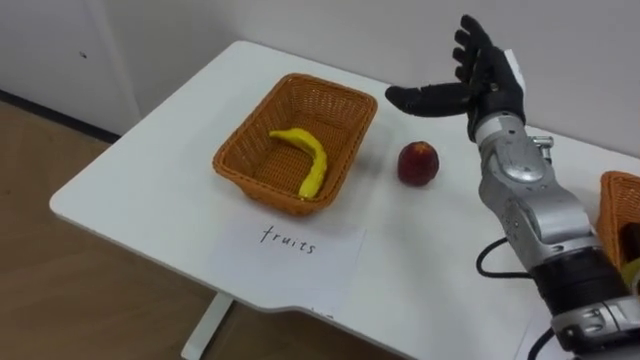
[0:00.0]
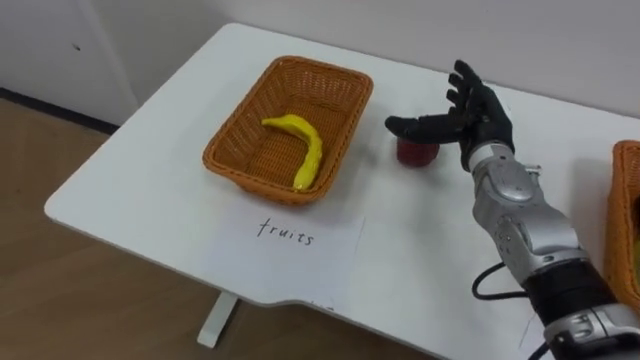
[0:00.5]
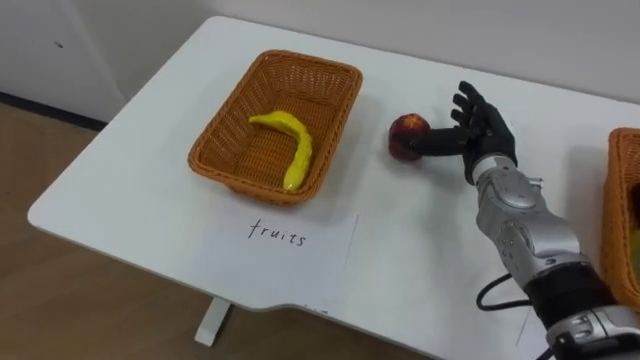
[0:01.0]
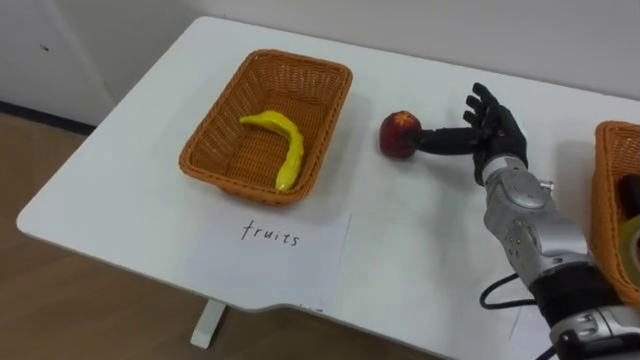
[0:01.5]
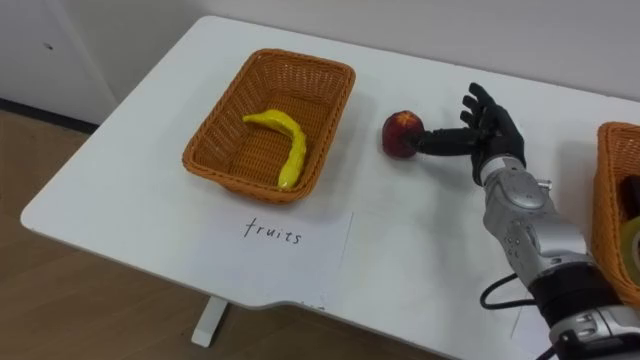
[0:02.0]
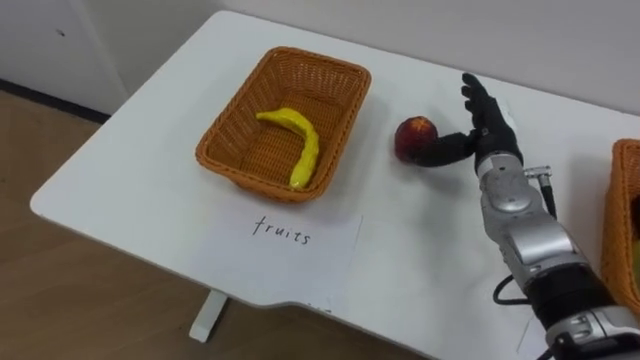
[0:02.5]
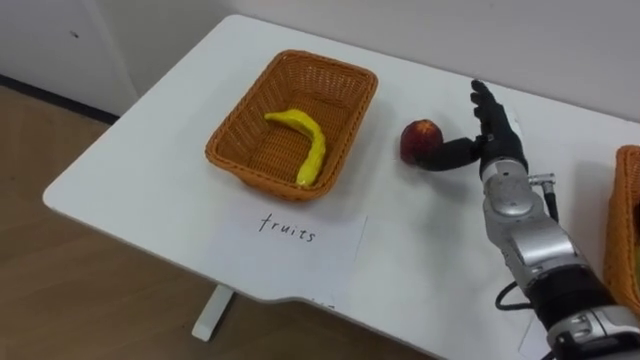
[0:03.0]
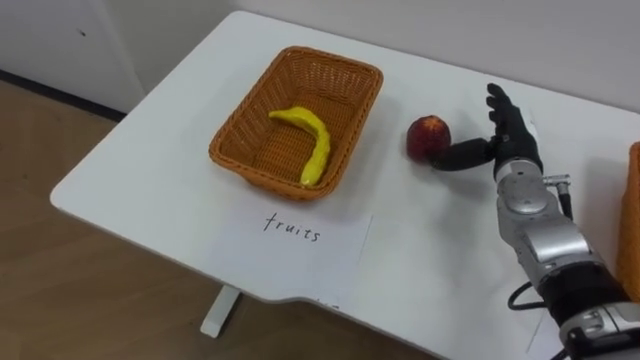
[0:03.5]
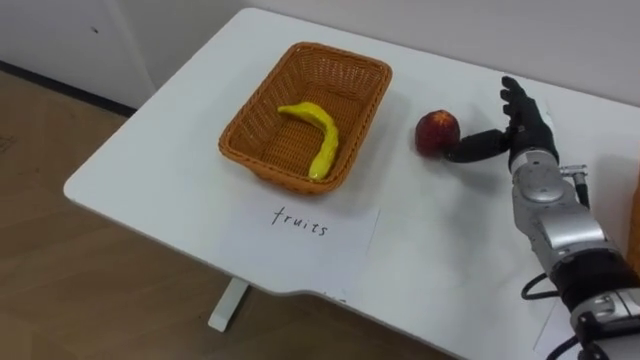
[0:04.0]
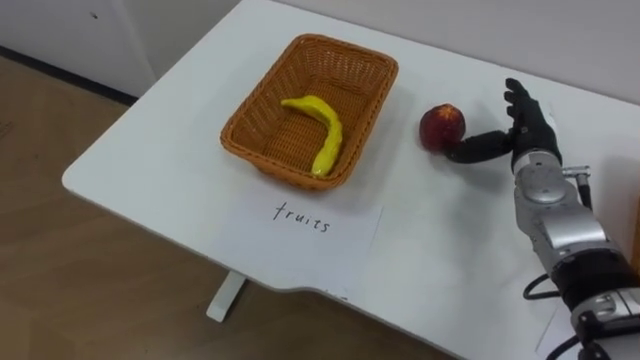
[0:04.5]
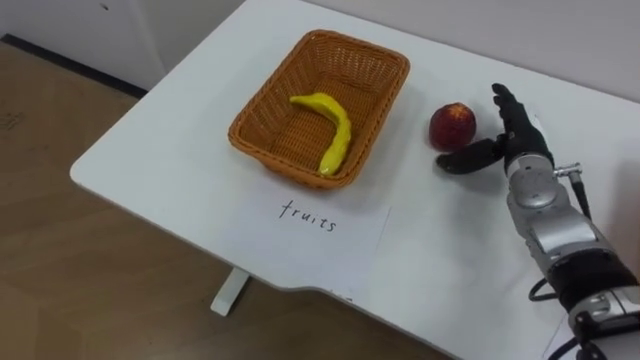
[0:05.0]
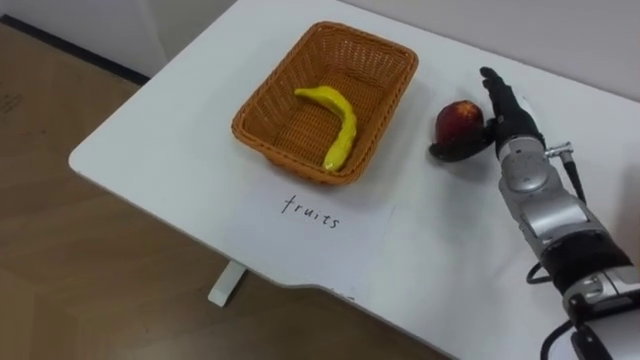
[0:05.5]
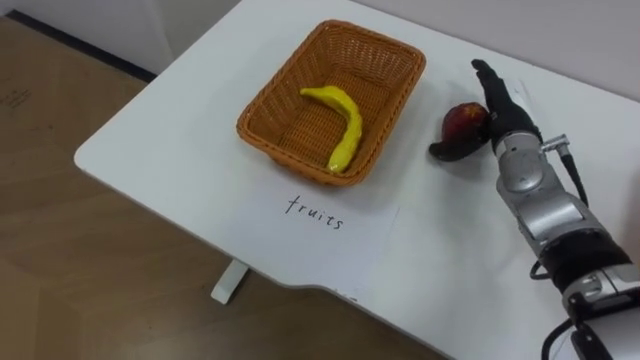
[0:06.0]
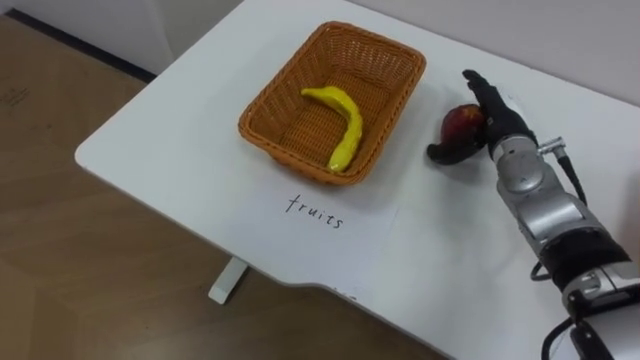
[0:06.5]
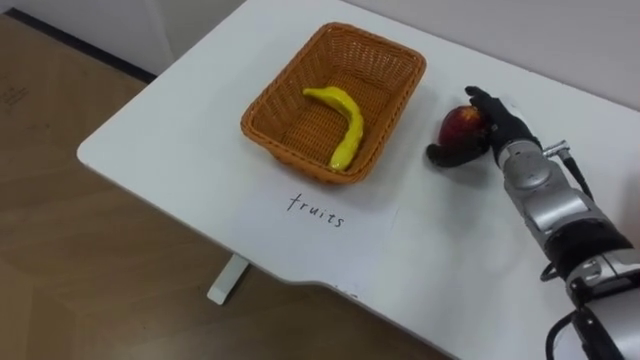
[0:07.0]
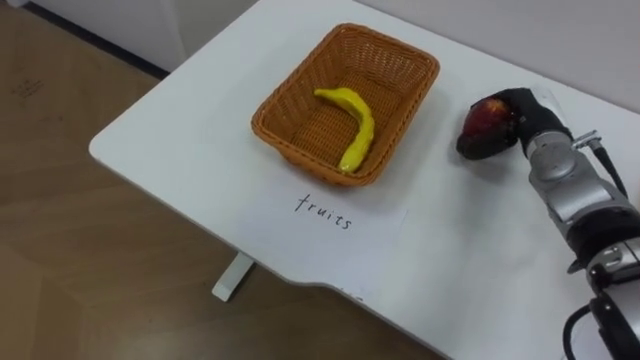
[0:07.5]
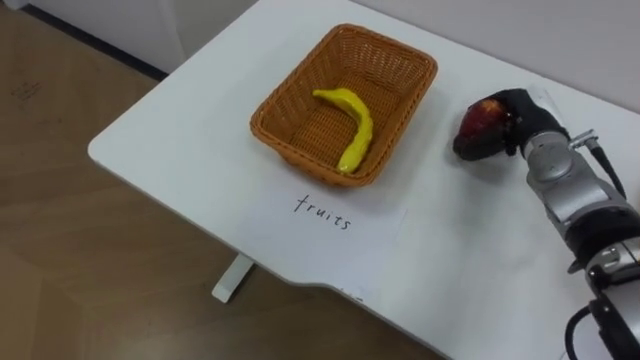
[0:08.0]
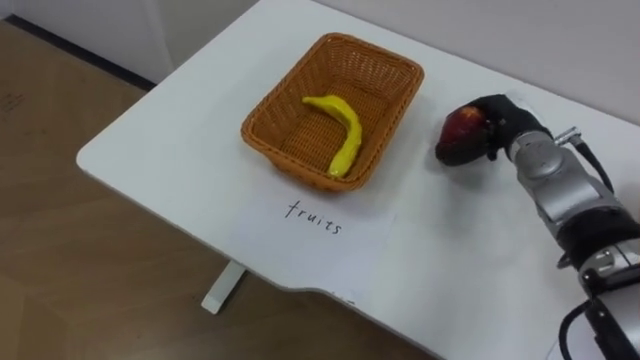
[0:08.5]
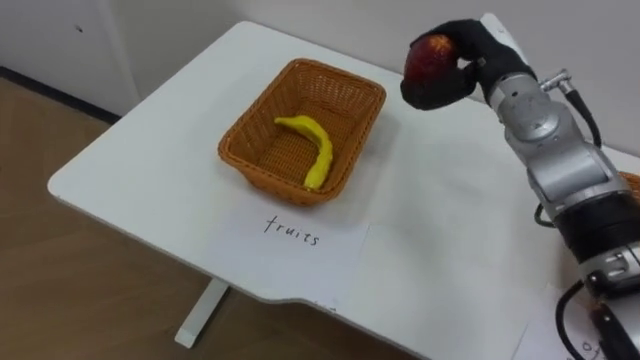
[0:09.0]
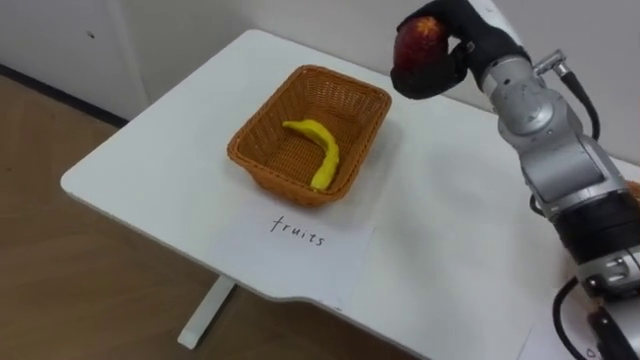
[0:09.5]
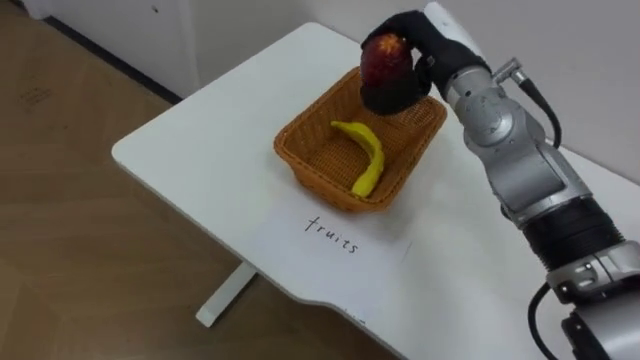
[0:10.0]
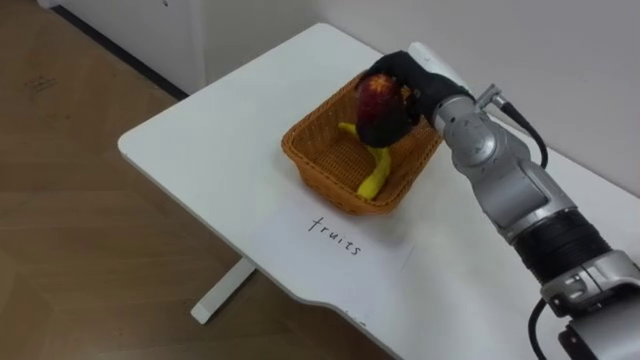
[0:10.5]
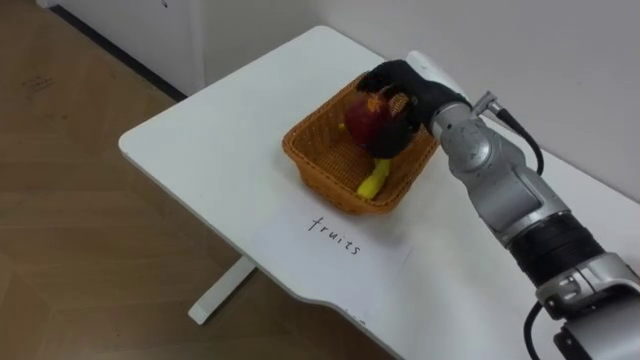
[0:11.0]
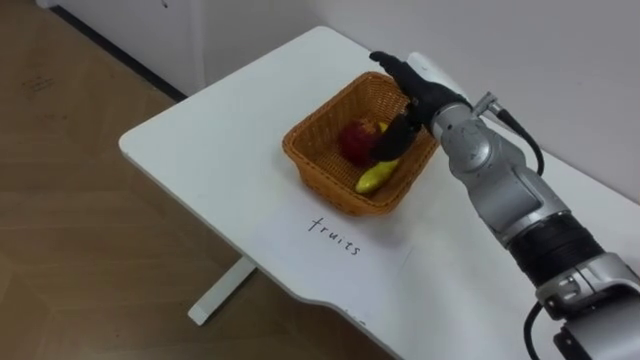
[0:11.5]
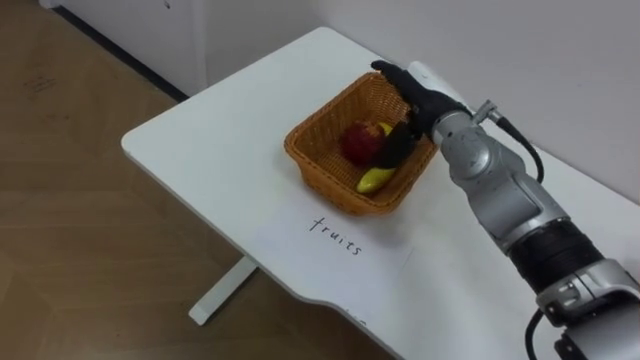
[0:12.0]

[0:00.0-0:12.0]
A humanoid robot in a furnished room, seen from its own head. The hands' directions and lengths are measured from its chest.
Task of the whole recording: Separate the items on the table and place them into the two baskets.
0:00.0 to 0:02.0: The right hand goes roughly 5 cm downward.
0:06.0 to 0:08.0: The right hand closes up.
0:08.0 to 0:10.0: The right hand heads to the left and upward, covering some 20 cm.
0:10.0 to 0:12.0: The right hand travels downward by roughly 5 cm, and opens its fingers.

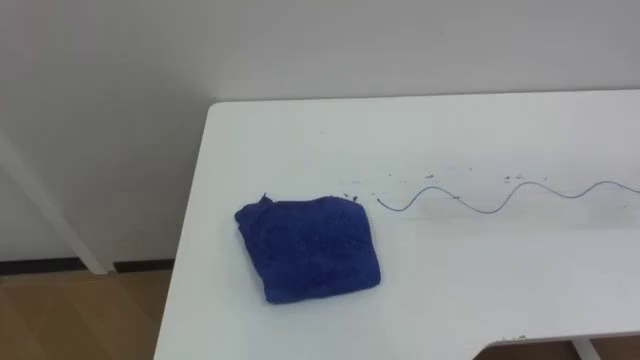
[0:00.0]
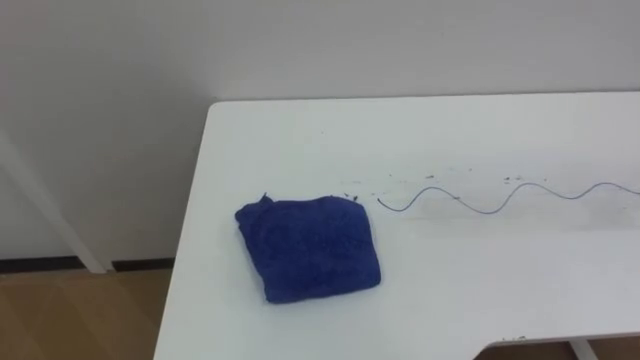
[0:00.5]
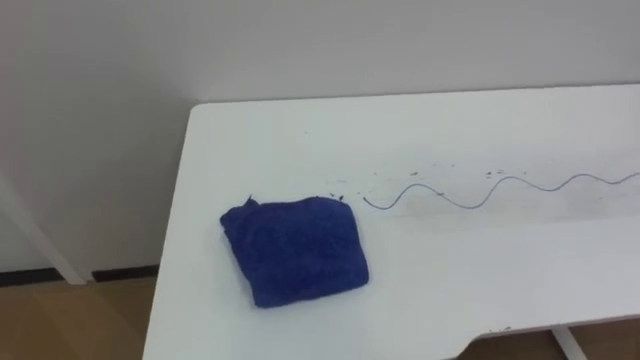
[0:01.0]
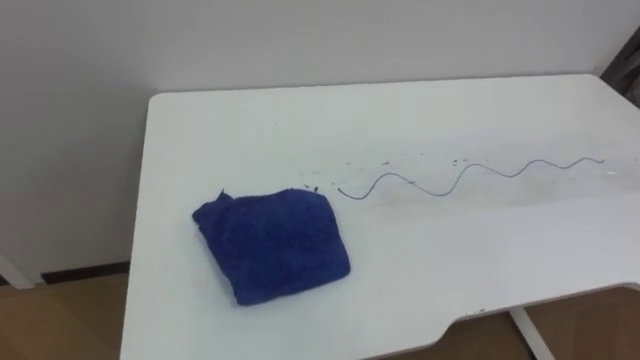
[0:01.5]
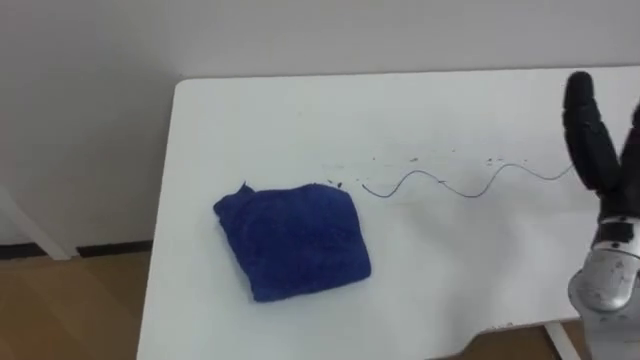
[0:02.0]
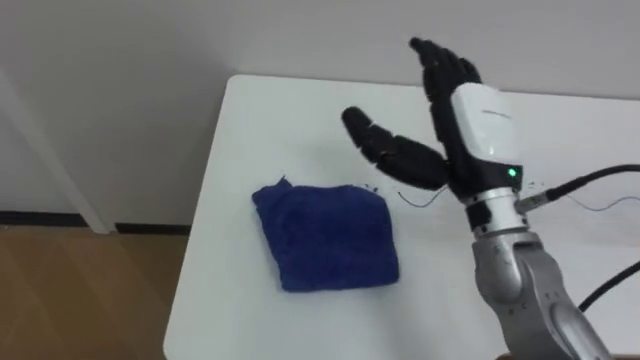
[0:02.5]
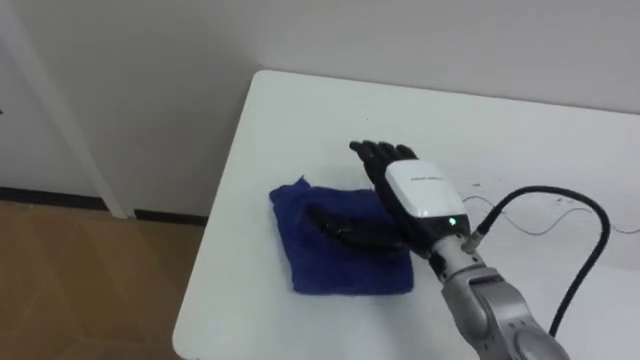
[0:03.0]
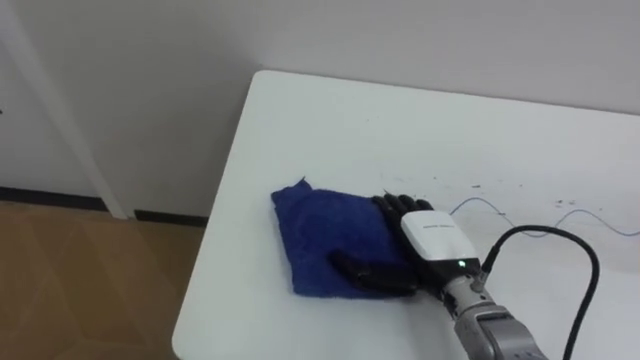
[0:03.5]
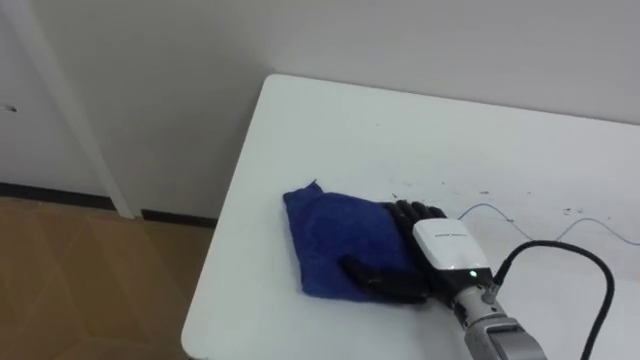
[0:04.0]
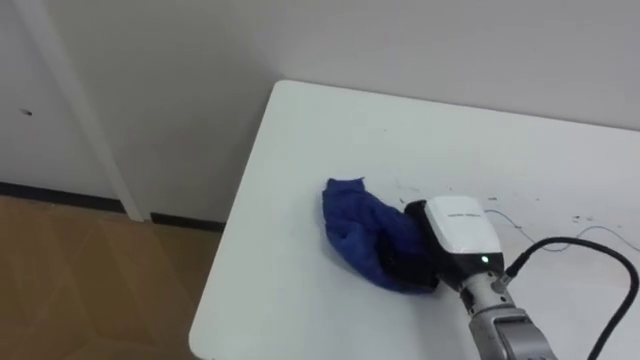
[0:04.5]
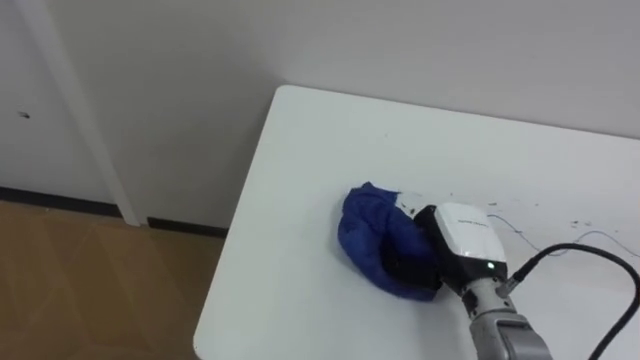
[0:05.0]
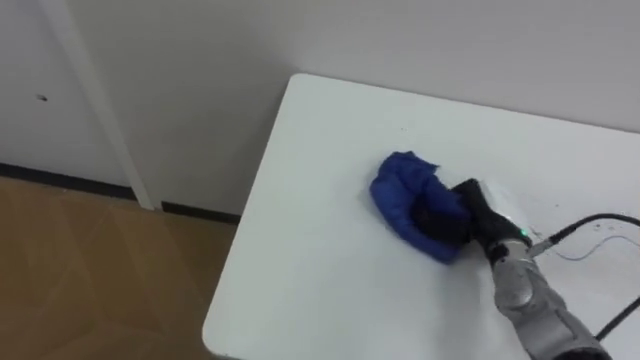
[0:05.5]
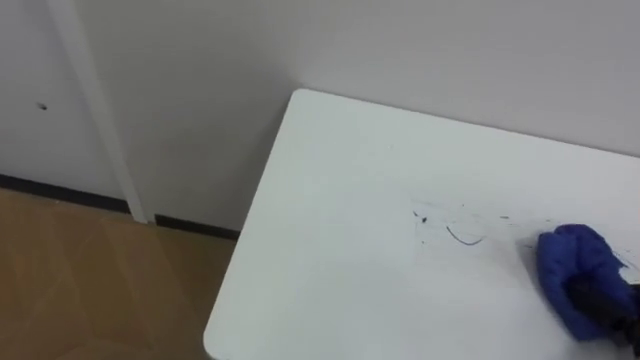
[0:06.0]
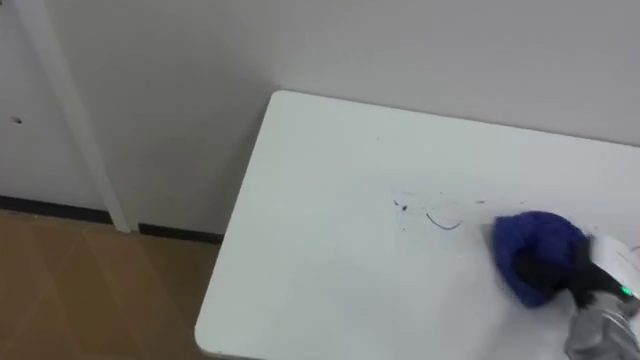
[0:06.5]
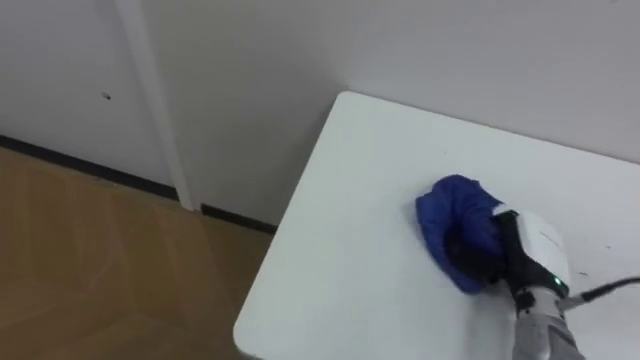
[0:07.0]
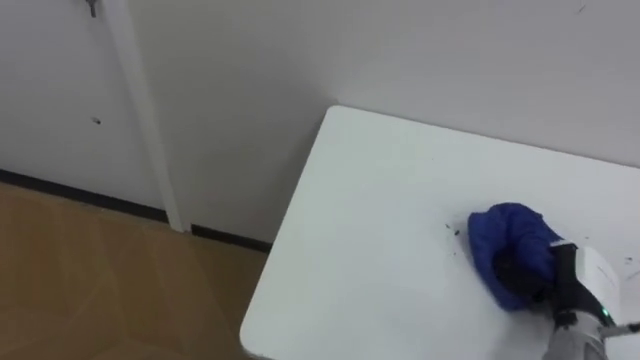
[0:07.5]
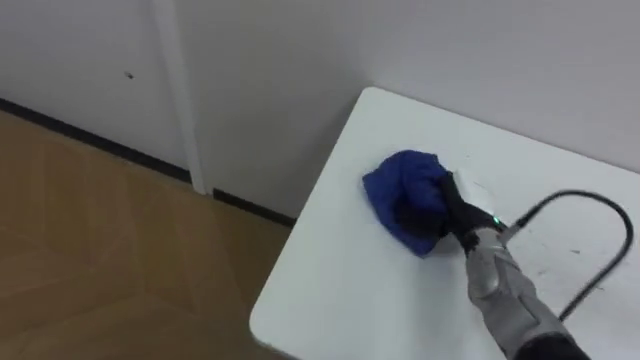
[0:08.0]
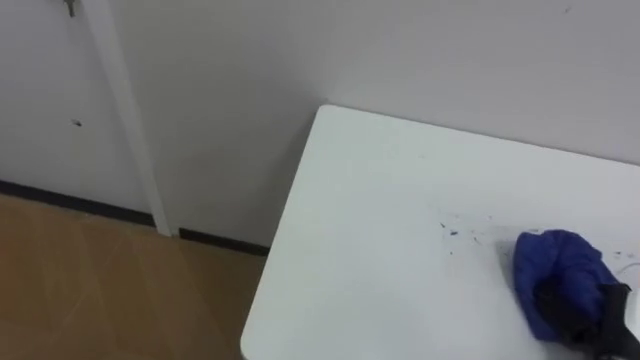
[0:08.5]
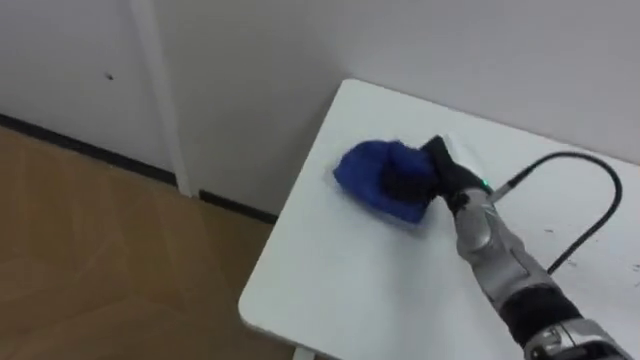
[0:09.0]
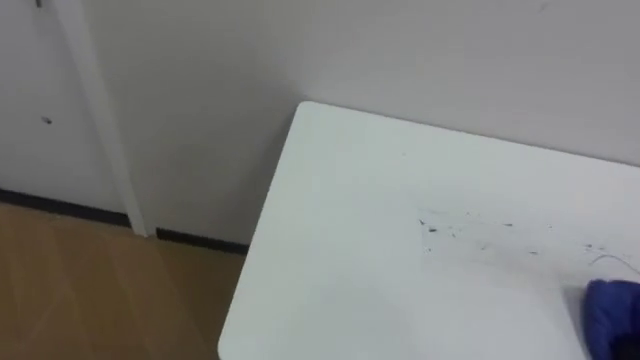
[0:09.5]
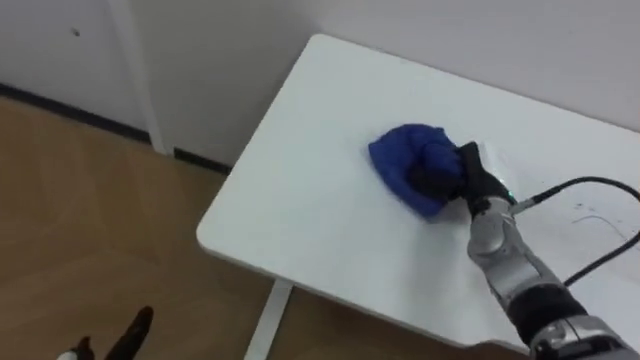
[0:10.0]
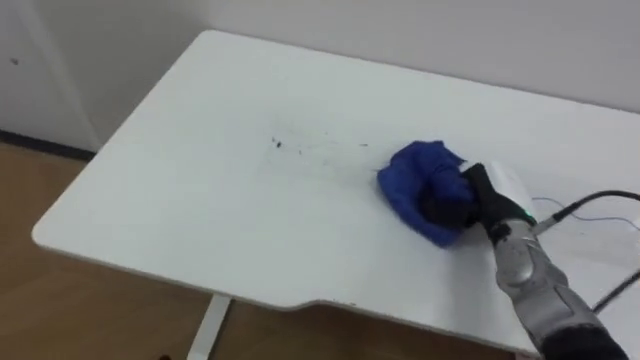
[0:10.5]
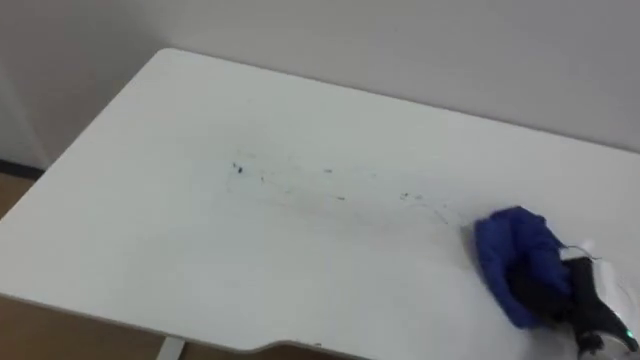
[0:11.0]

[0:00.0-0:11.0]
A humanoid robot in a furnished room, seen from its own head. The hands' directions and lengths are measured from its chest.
Task of the whole recording: Wipe the blue pen marks off the table with the rag.
0:03.5 to 0:05.5: The right hand moves to the right, some 5 cm, and closes its fingers.
0:07.5 to 0:09.0: The right hand moves forward and backward over about 20 cm, changing direction 2 times.
